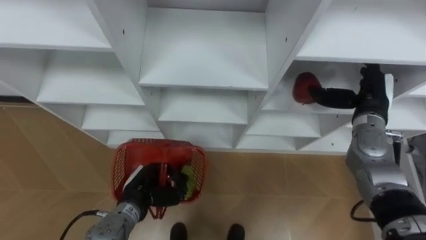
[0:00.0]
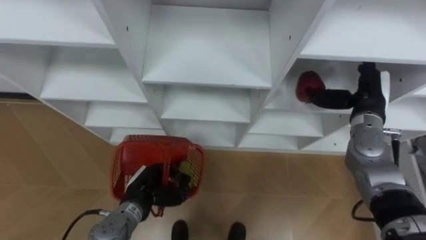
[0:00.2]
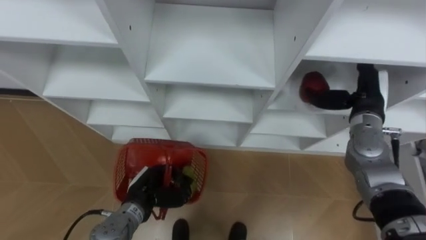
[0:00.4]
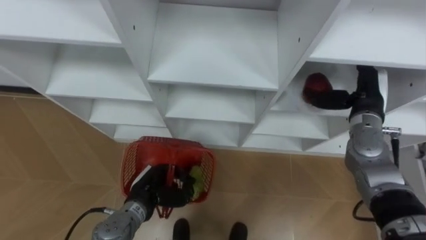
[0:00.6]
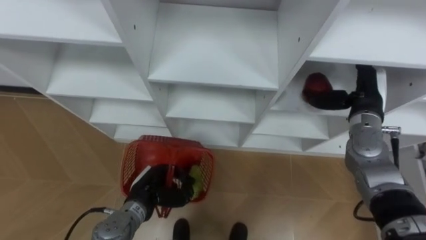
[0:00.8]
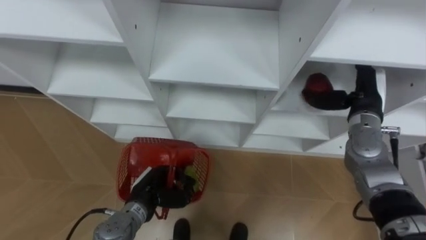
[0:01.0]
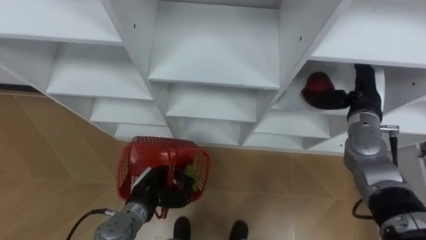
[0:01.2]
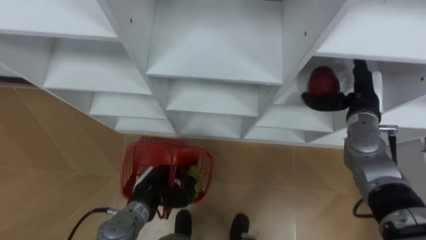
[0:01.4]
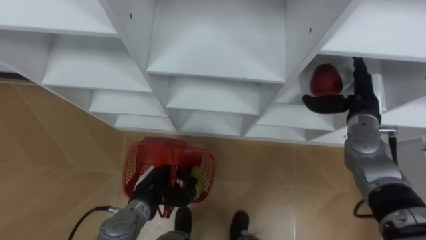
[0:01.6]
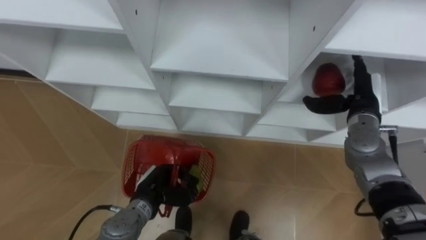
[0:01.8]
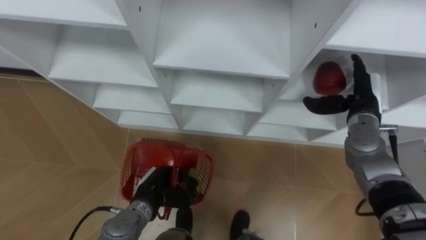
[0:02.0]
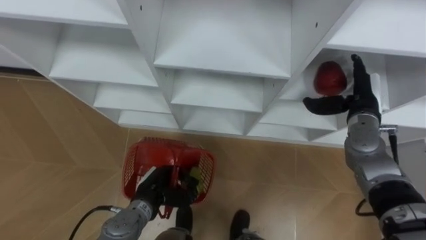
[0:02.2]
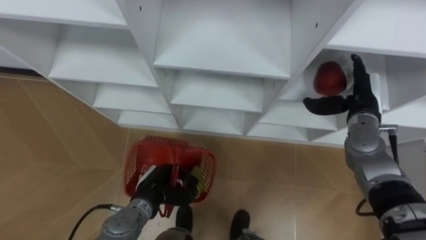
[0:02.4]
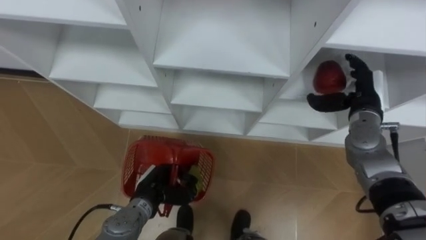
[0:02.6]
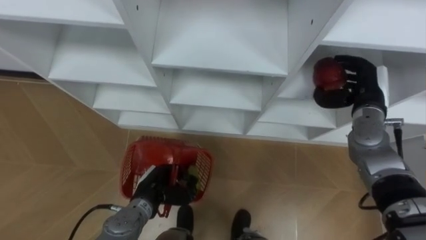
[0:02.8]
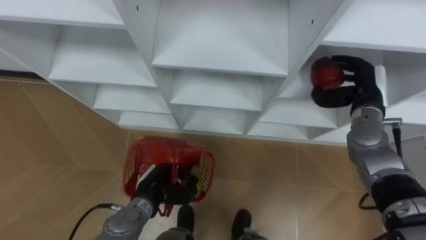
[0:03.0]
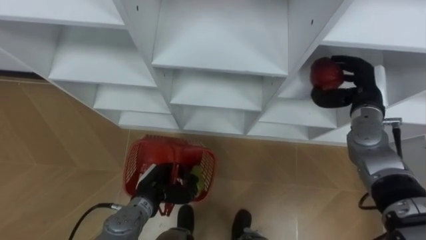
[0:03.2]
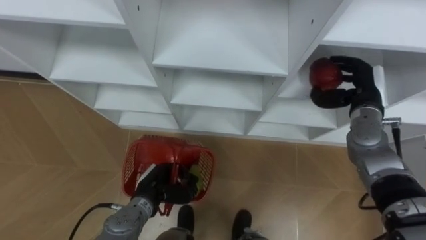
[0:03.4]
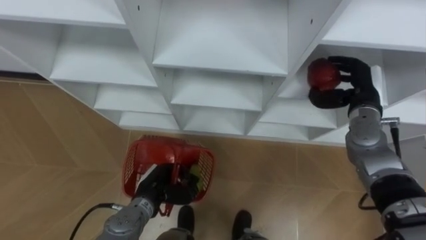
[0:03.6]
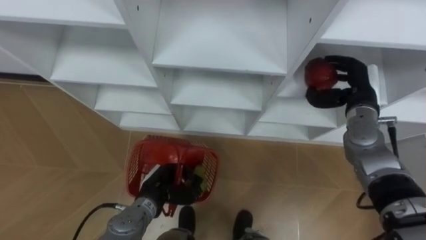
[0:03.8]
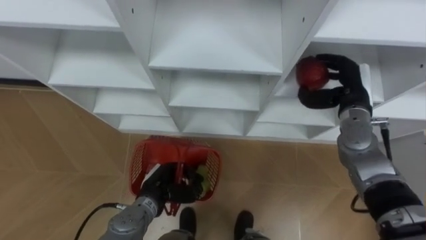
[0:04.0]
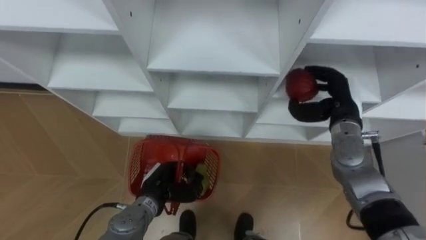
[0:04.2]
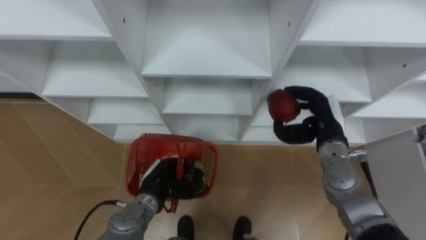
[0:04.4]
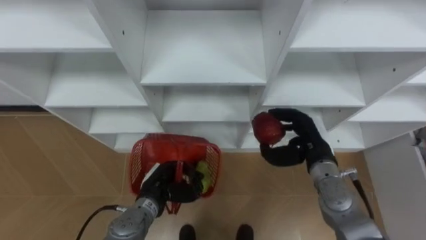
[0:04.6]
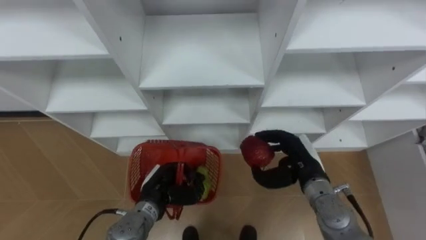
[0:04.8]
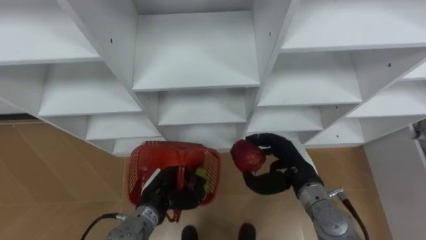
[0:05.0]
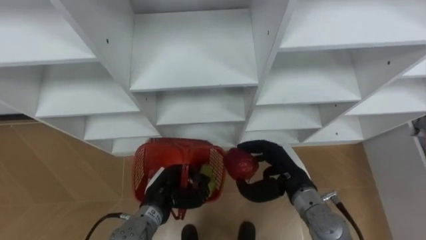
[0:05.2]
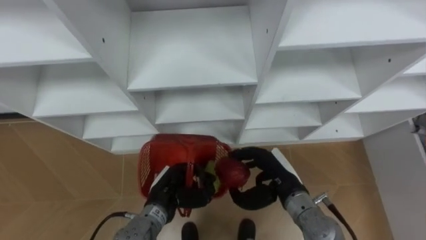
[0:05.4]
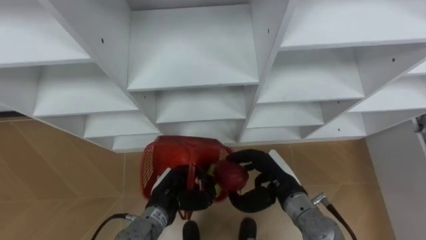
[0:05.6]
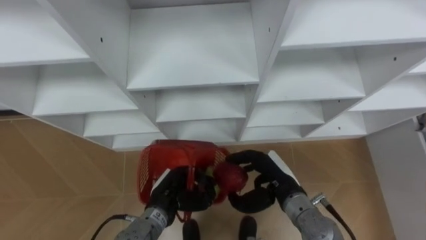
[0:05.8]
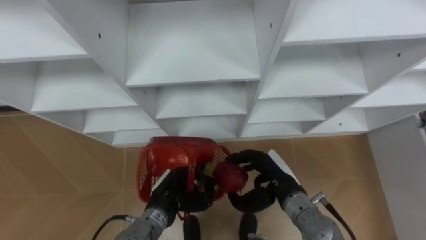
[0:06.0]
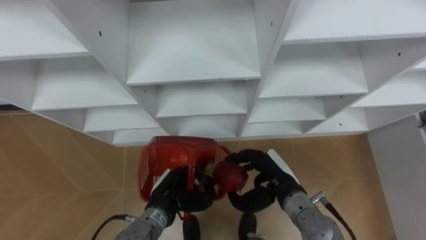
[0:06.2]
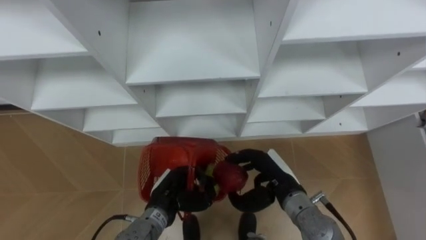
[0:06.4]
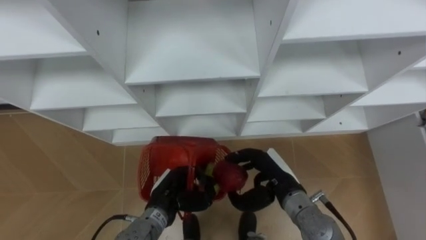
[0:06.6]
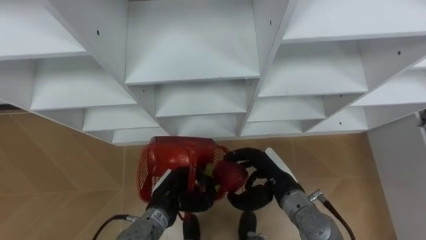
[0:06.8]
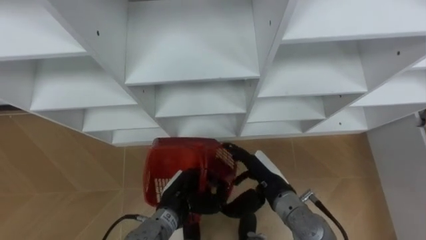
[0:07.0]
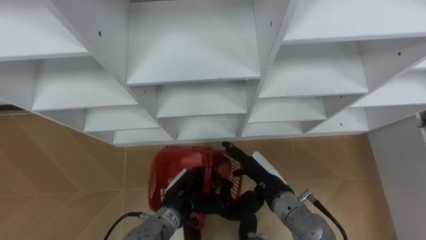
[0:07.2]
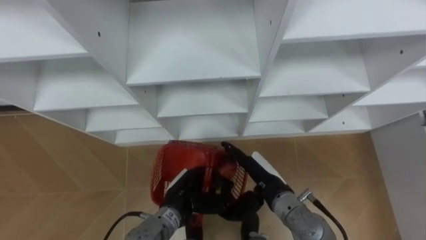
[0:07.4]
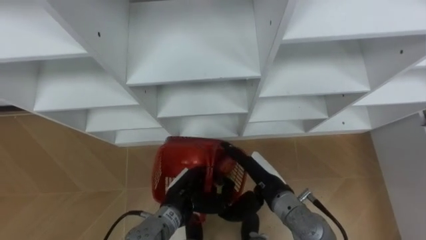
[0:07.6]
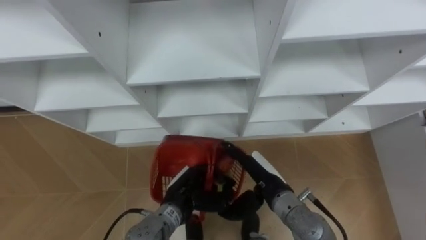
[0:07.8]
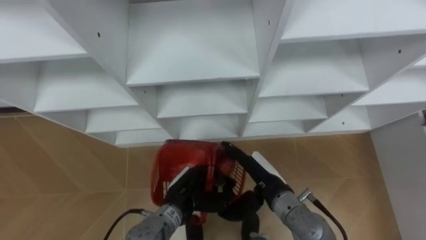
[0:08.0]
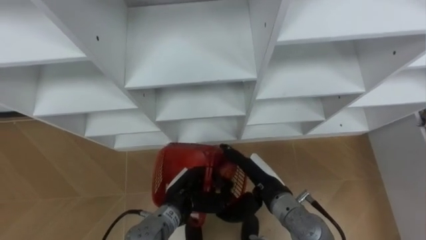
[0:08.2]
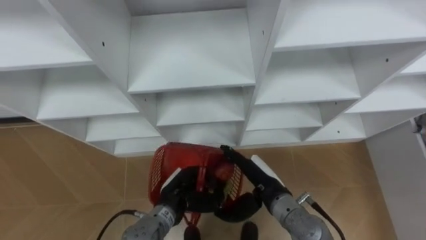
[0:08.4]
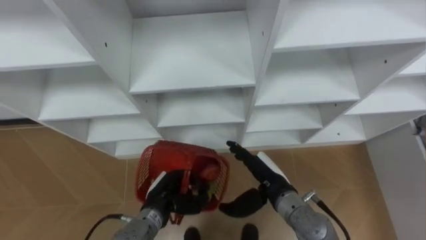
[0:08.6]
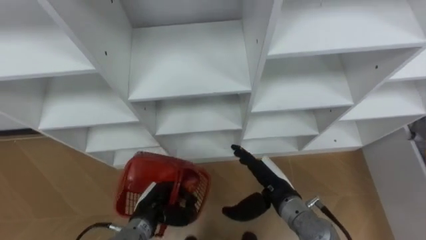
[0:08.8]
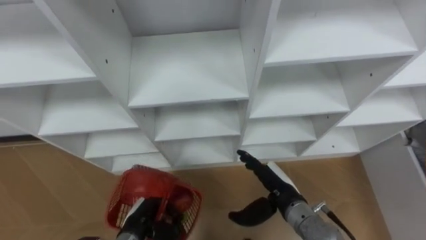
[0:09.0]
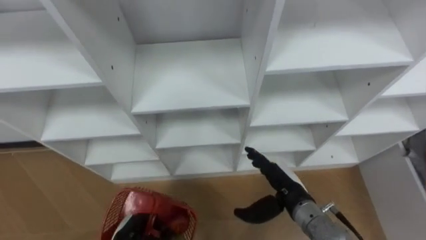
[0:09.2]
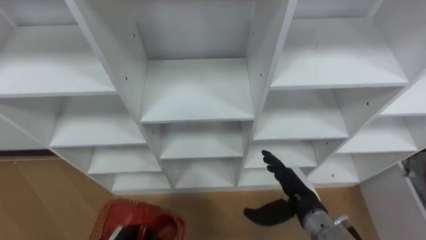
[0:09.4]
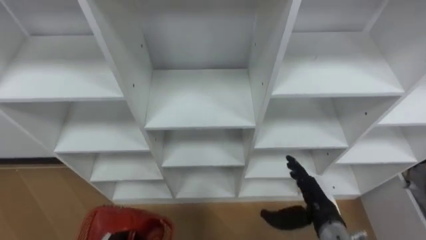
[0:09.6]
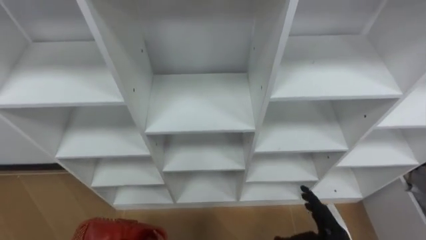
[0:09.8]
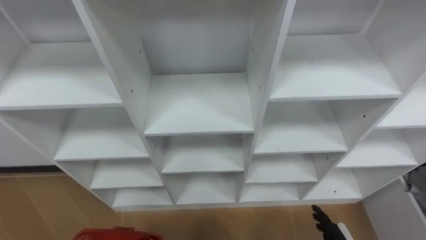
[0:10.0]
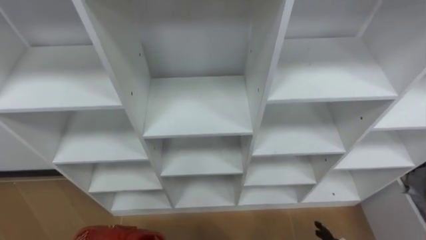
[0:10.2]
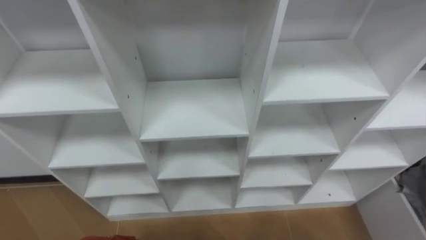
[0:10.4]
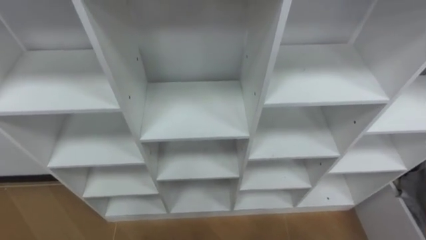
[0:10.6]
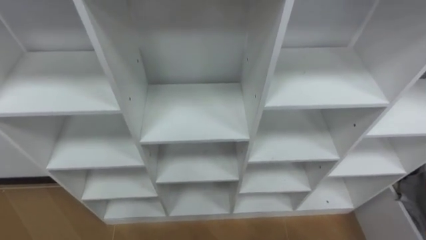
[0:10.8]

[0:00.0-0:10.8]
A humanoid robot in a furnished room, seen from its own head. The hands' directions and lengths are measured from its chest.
Task of the whole recording: Hold the basket and collect the fruits from 3 different cells of the closet into it.
1.6 to 3.0 s: The right hand closes.
3.0 to 4.6 s: The right hand shifts approximately 15 cm to the left, backward and downward.
4.6 to 6.2 s: The right hand goes about 10 cm to the left and backward.
6.2 to 7.8 s: The right hand opens its fingers.
7.8 to 9.2 s: The right hand moves to the right, approximately 5 cm; the left hand heads to the left, downward and backward, covering some 15 cm.

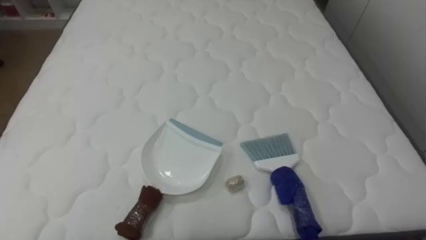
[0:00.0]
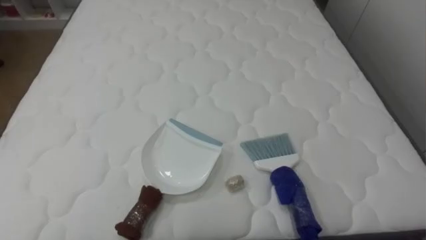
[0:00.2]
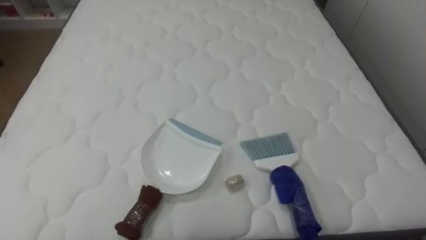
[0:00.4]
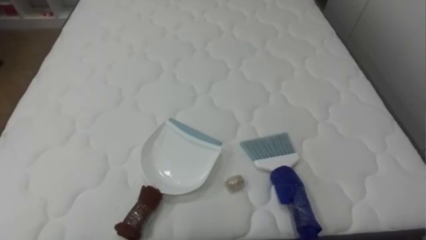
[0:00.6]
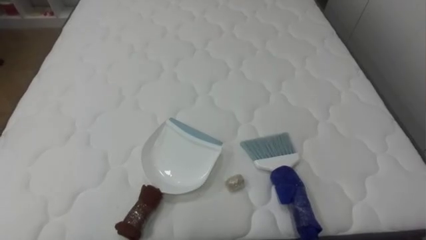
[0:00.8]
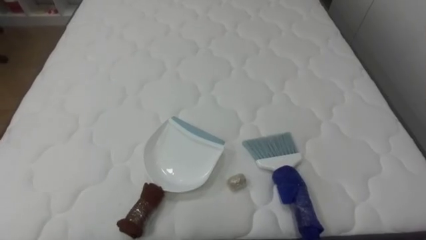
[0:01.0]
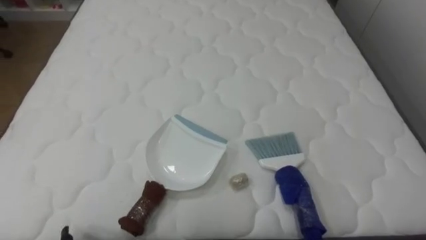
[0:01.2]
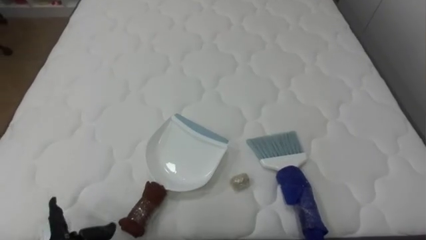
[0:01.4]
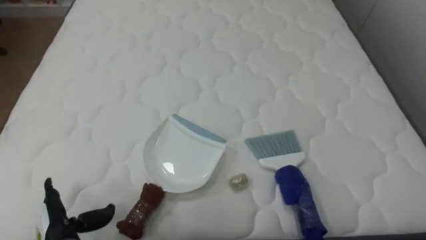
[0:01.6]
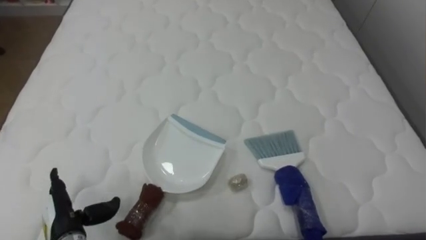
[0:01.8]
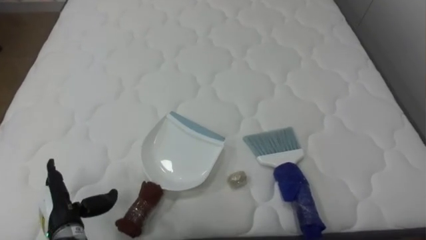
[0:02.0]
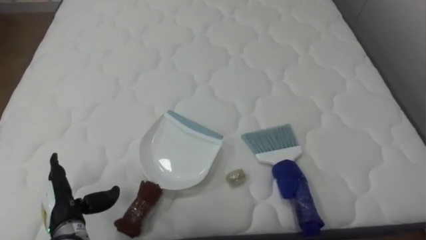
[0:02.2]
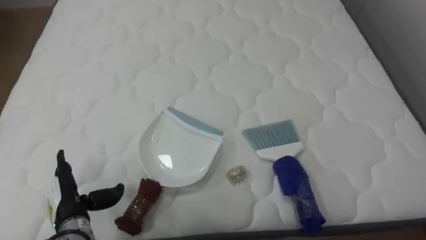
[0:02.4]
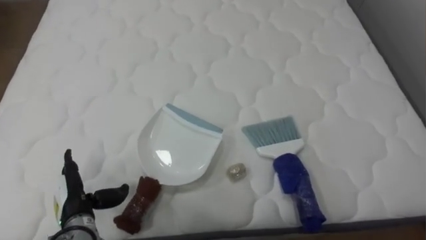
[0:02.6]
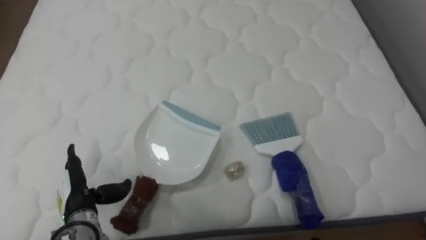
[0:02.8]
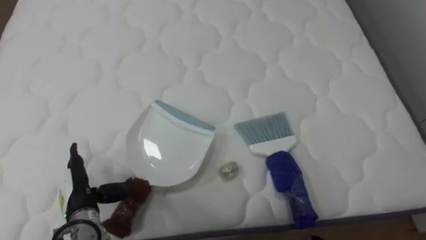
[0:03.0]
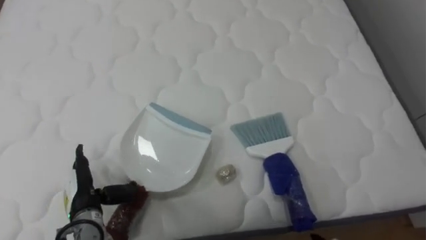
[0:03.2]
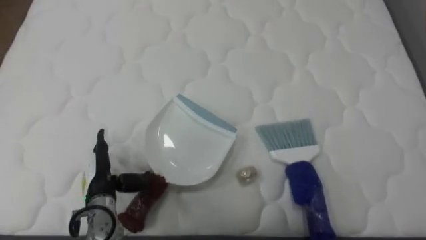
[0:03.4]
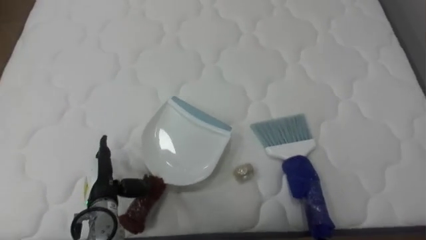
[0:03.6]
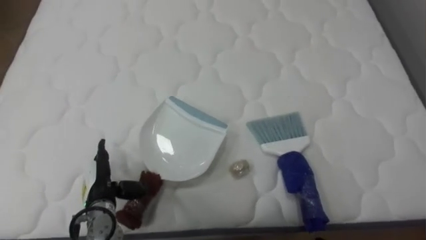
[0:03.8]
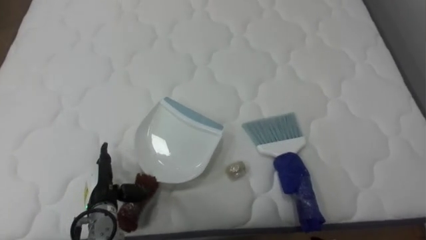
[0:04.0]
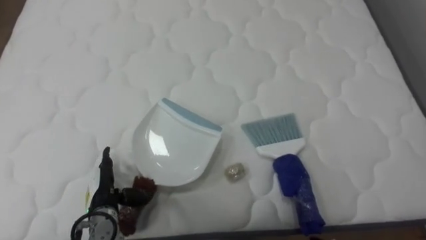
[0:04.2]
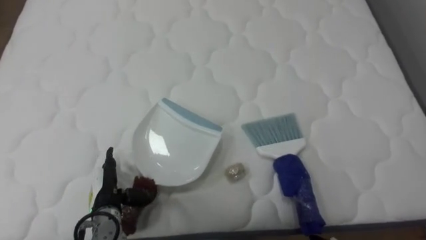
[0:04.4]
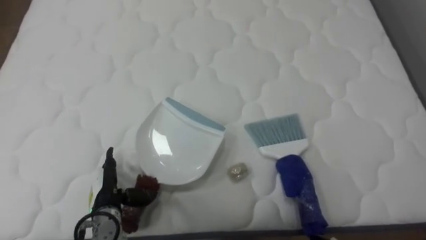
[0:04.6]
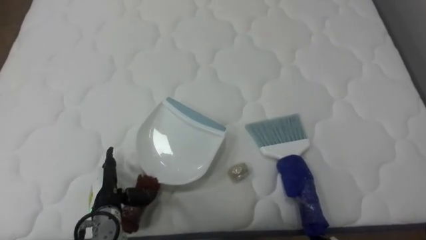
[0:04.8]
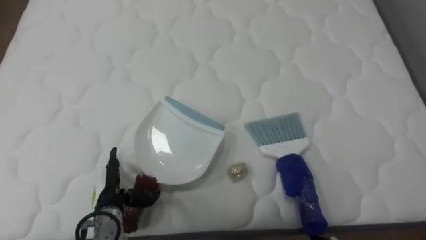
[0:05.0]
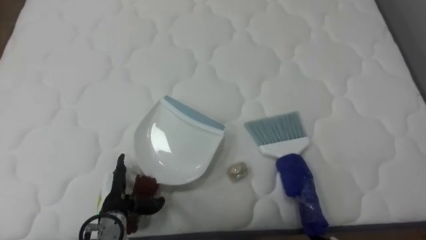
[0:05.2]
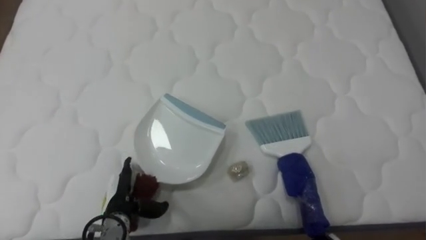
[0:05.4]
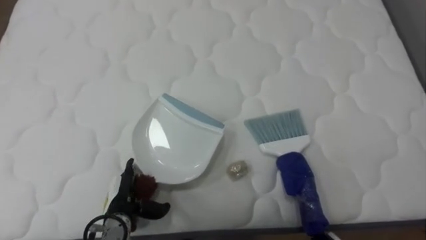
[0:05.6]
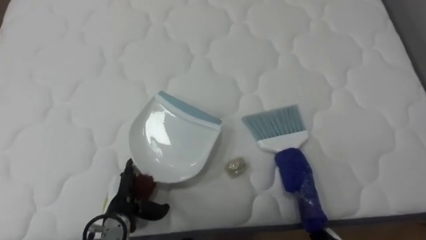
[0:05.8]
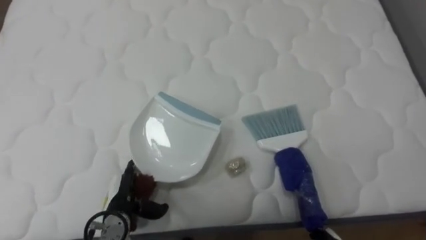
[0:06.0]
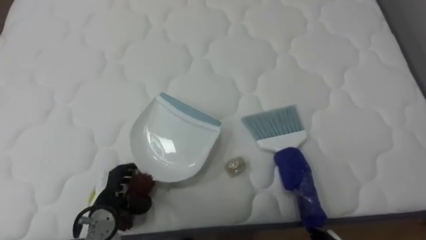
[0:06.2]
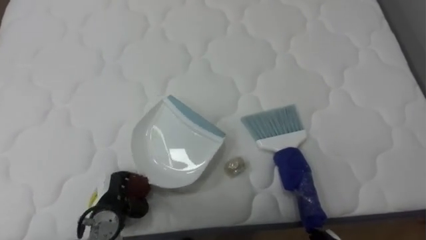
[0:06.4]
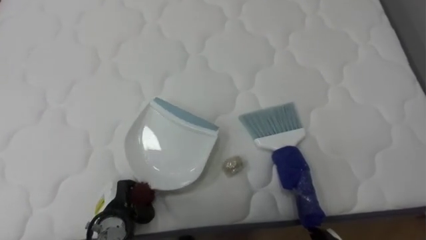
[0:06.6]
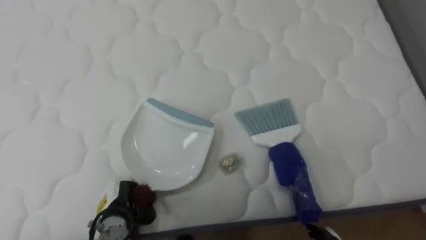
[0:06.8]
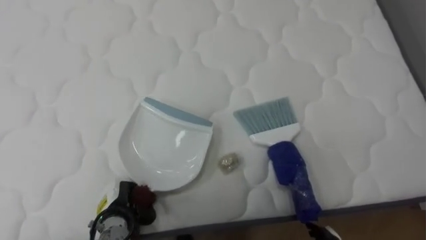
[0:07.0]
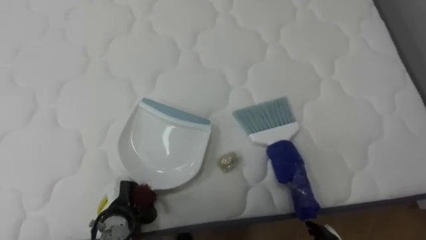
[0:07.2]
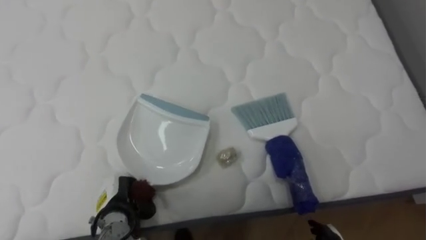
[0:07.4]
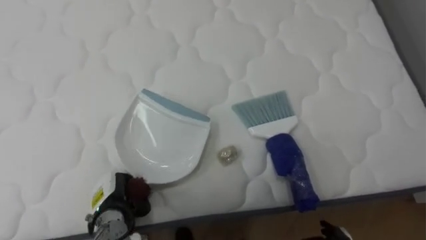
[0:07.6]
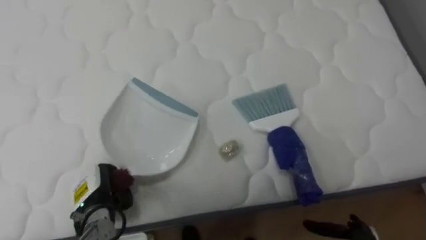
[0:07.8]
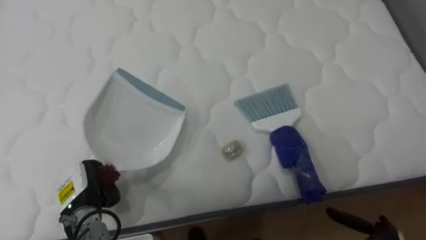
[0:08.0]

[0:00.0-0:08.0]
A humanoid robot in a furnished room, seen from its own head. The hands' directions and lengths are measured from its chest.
Task of the whole recording: Pick up the brush on your right and the dustpan on your left. Use the brush to sweep the crumpled paper on the bed into the dustpan, then turn left and empty it into the basket.
1.6 to 3.2 s: The left hand travels forward by approximately 5 cm.
4.8 to 6.4 s: The left hand closes up.
6.4 to 8.0 s: The left hand shifts by about 5 cm.
